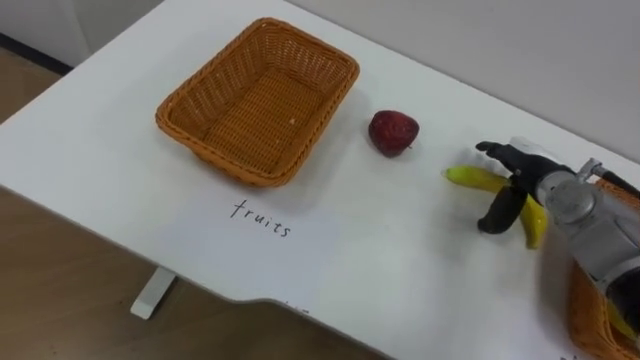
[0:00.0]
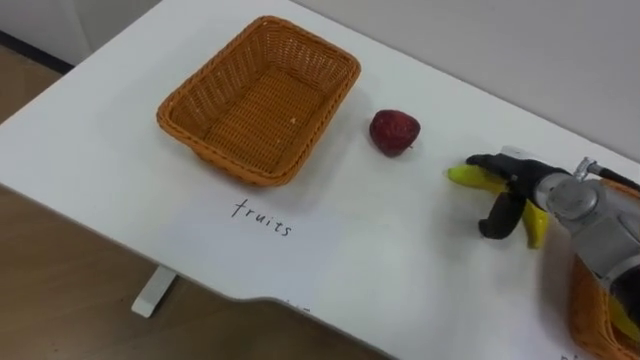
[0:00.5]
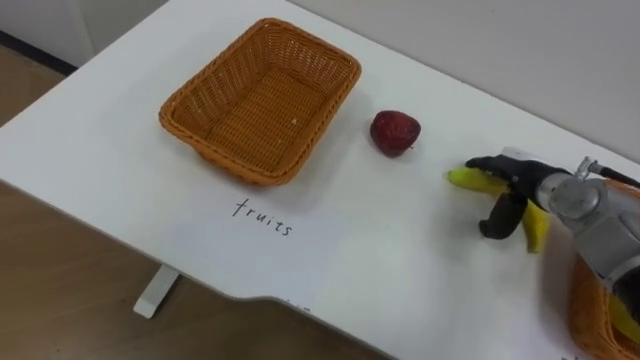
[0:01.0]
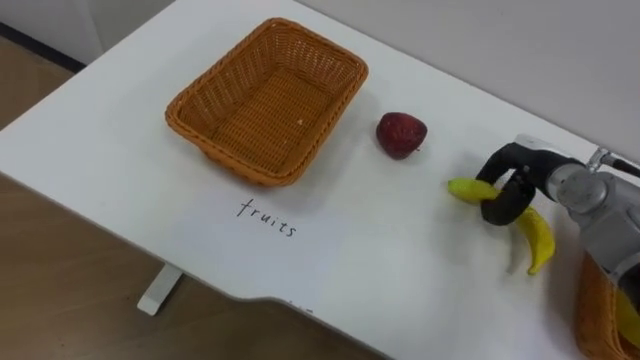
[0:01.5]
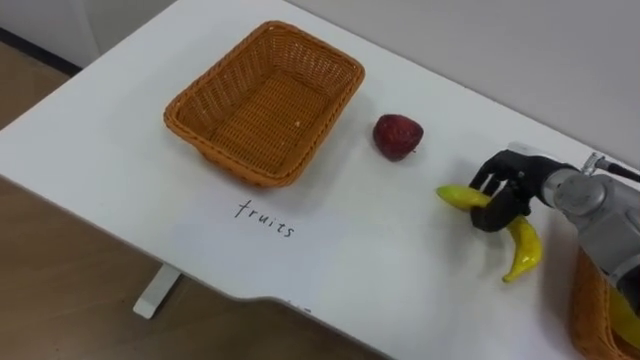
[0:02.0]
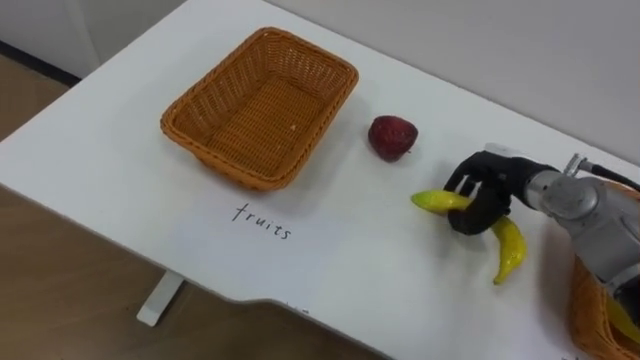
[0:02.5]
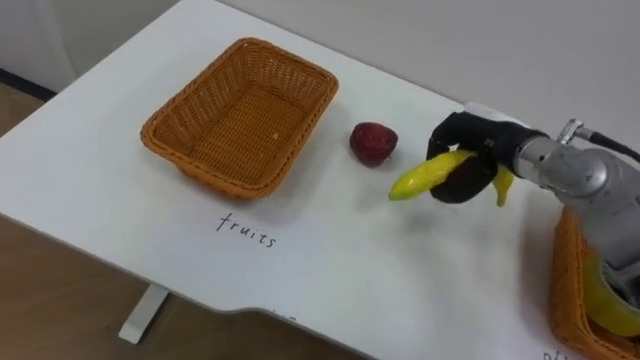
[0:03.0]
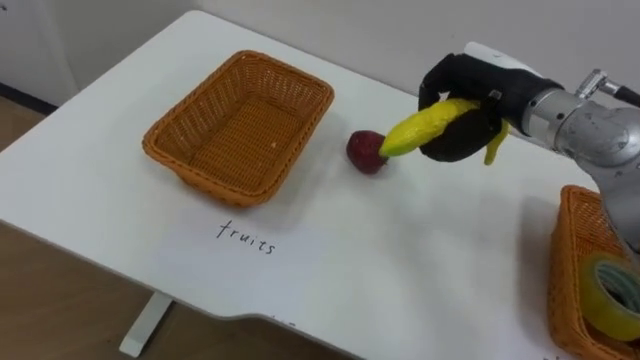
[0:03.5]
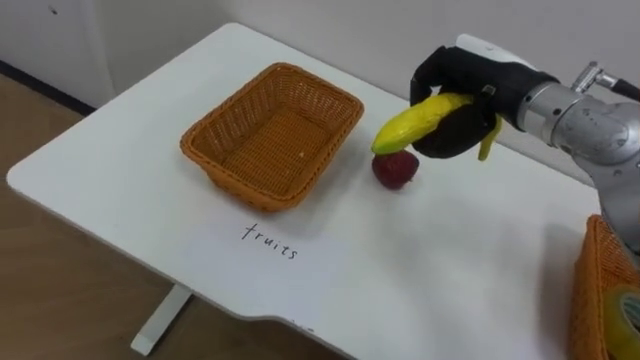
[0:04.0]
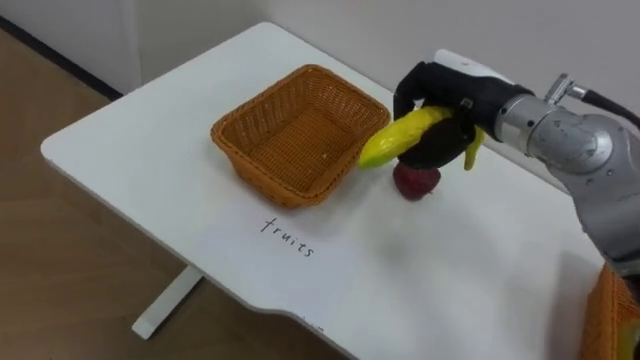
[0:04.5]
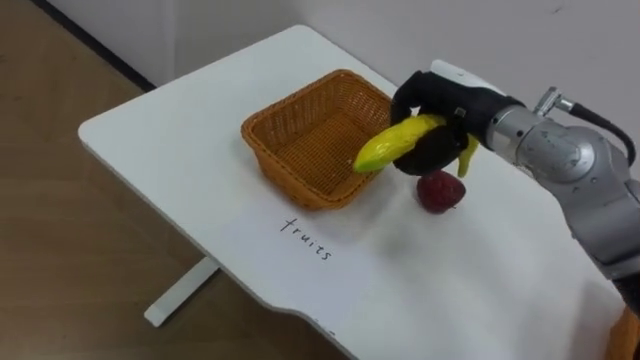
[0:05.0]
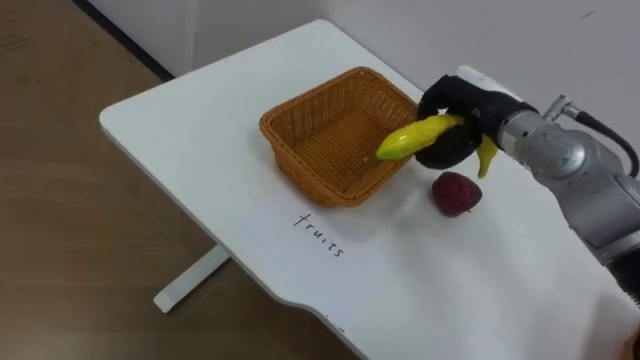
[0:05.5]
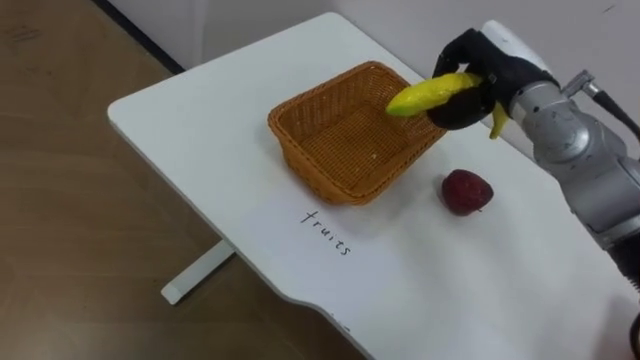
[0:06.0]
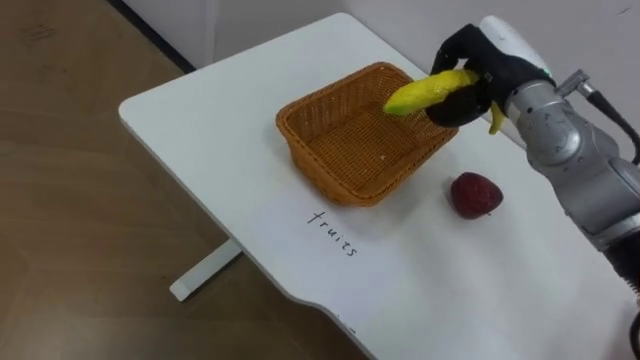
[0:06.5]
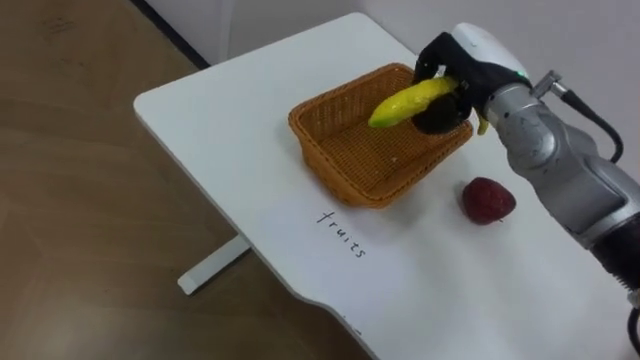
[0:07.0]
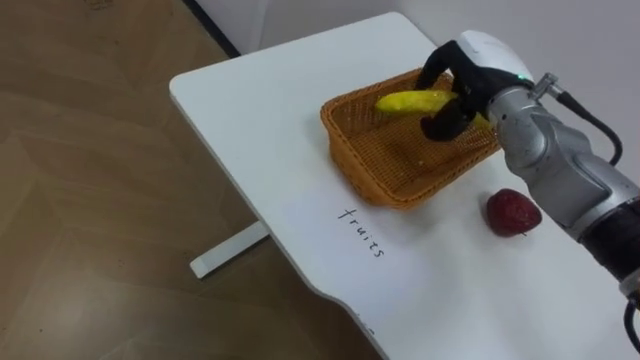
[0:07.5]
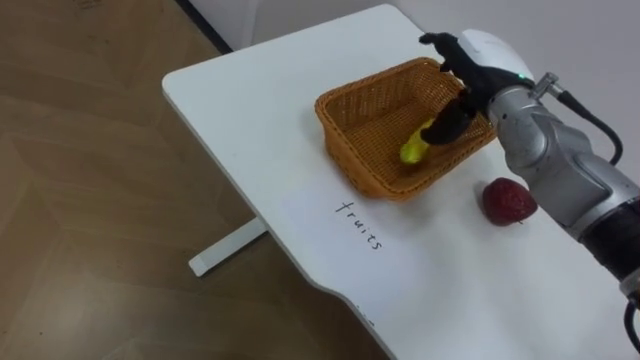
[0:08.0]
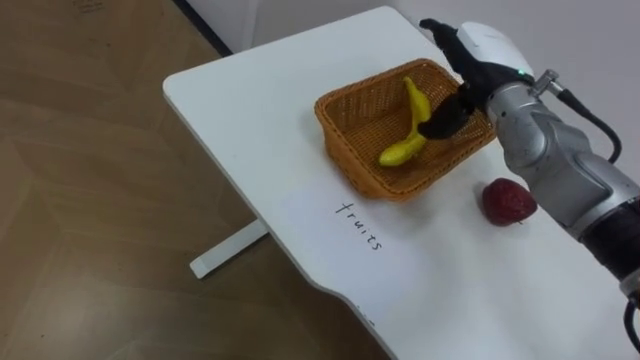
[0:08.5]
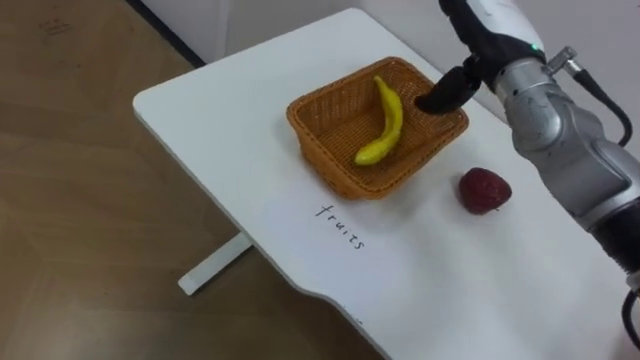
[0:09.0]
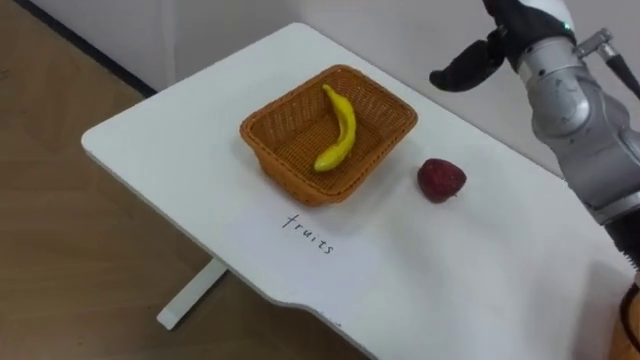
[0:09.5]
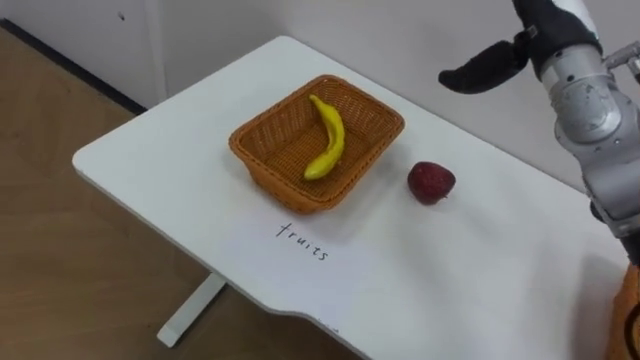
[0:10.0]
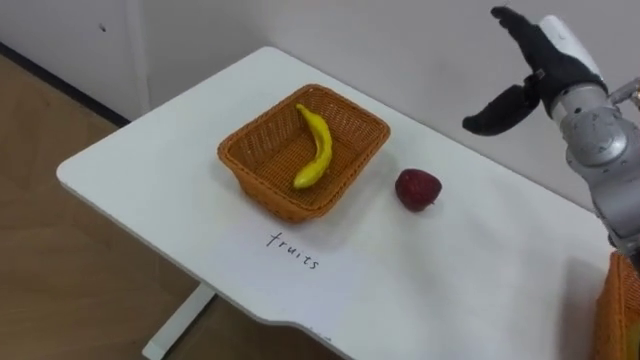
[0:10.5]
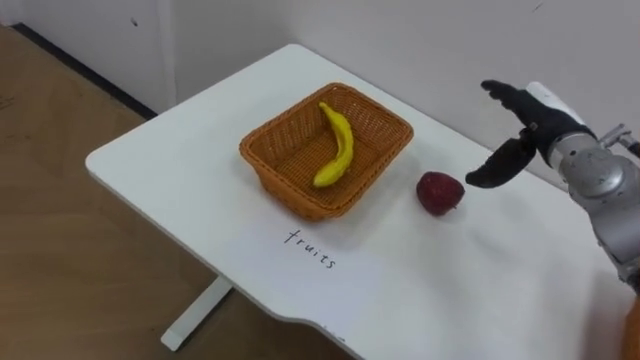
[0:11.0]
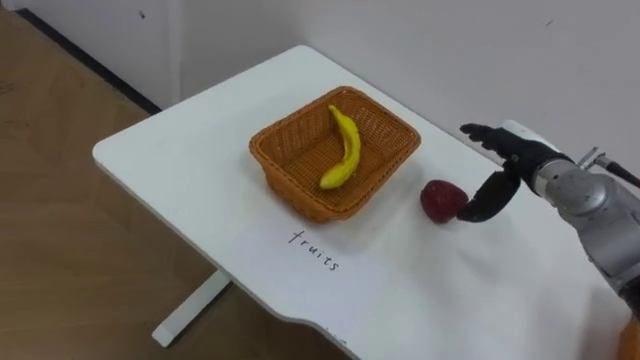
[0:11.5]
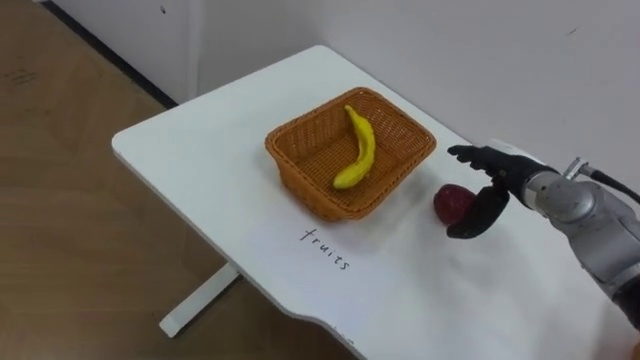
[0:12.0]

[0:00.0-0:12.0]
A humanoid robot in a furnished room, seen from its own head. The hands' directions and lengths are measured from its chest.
Task of the whole recording: Separate the items on the table and place them into the two baskets.
0:00.0 to 0:02.0: The right hand closes up.
0:02.0 to 0:04.0: The right hand goes roughly 20 cm upward and to the left.
0:04.0 to 0:06.0: The right hand moves about 5 cm.
0:06.0 to 0:08.0: The right hand opens.
0:10.0 to 0:12.0: The right hand moves downward, roughly 20 cm.

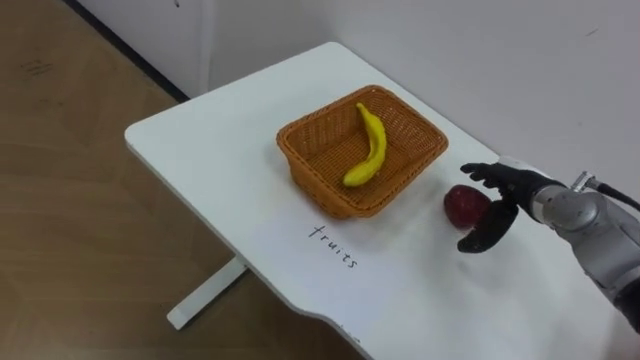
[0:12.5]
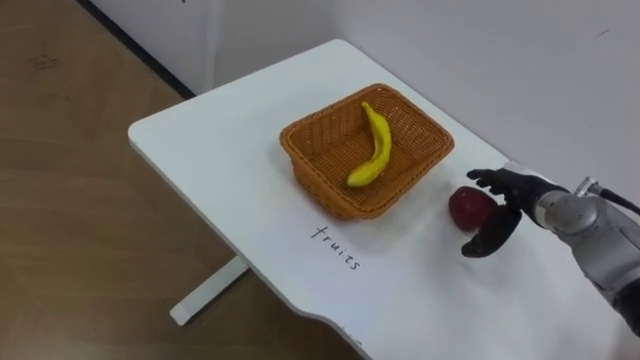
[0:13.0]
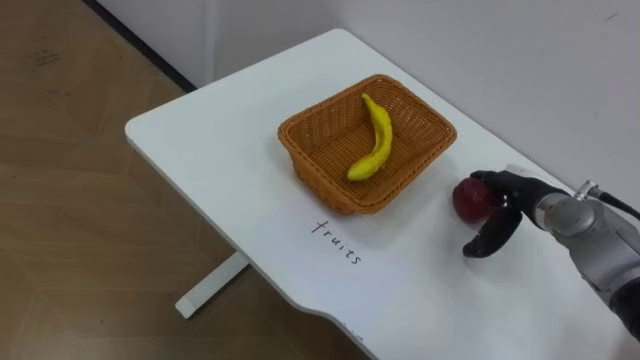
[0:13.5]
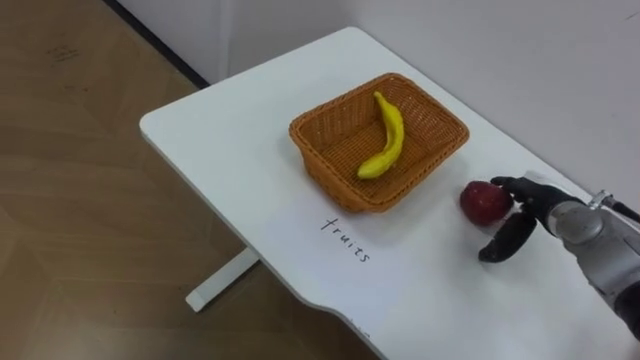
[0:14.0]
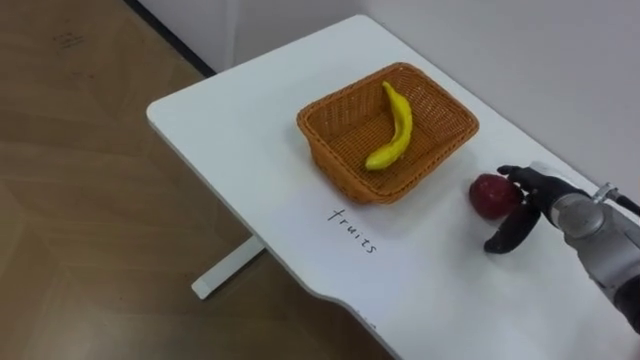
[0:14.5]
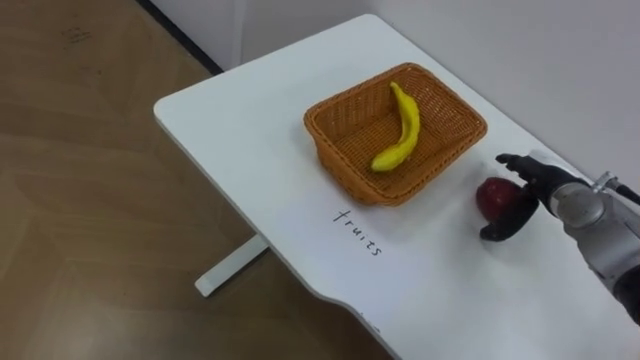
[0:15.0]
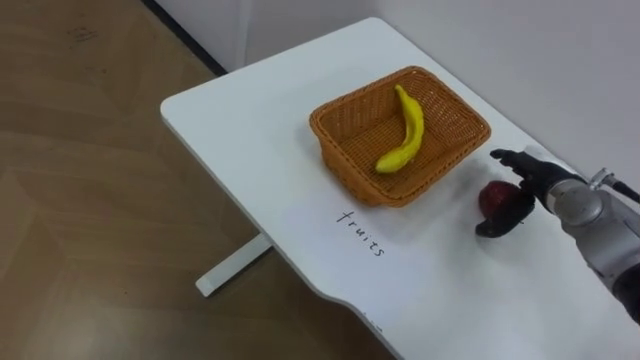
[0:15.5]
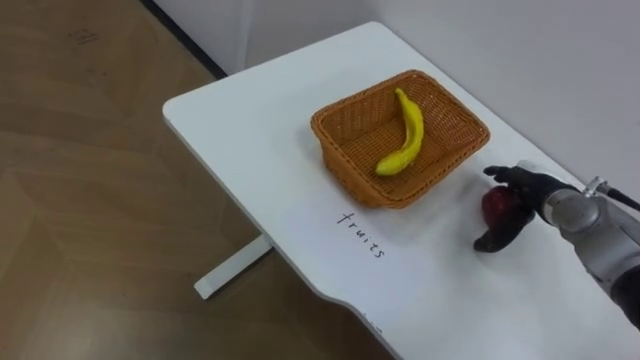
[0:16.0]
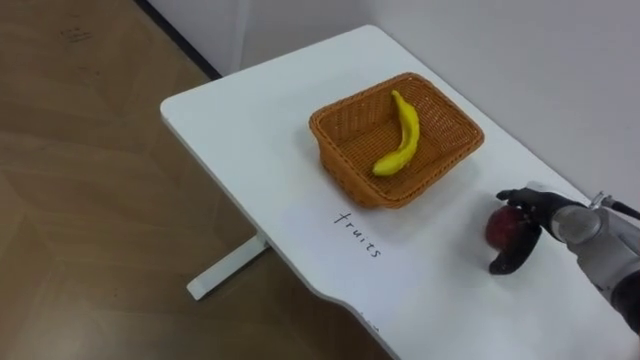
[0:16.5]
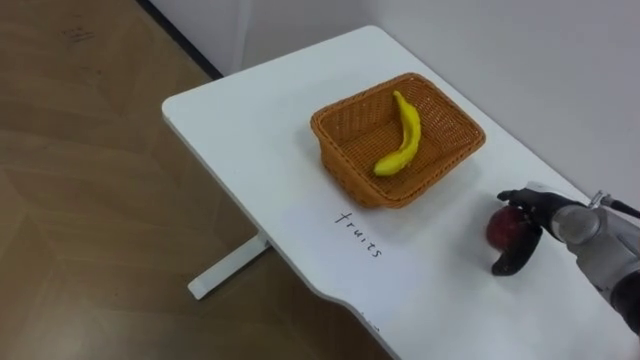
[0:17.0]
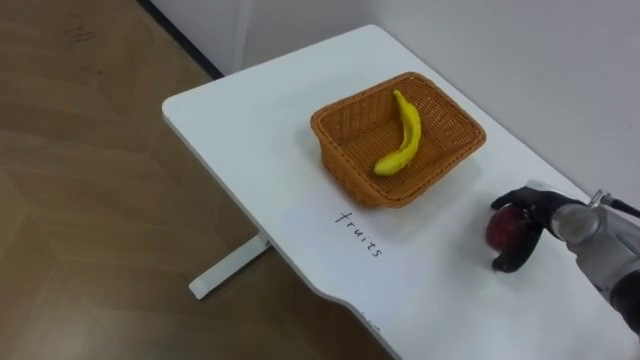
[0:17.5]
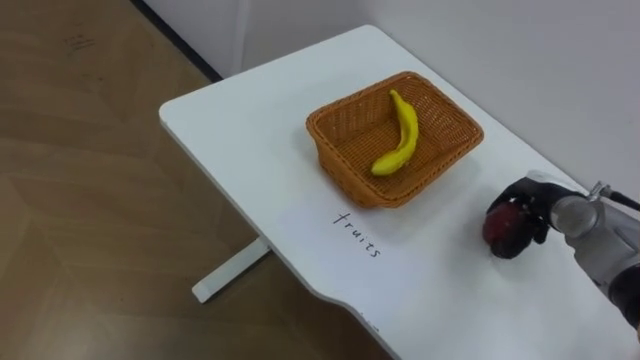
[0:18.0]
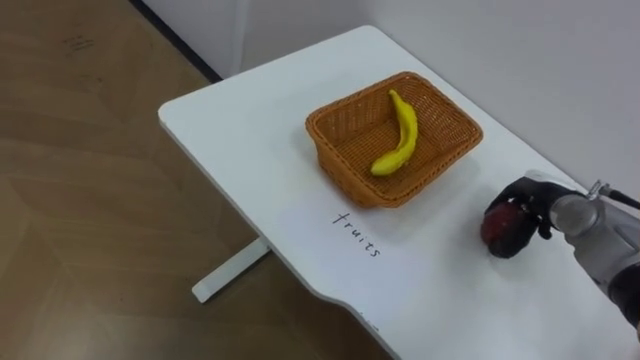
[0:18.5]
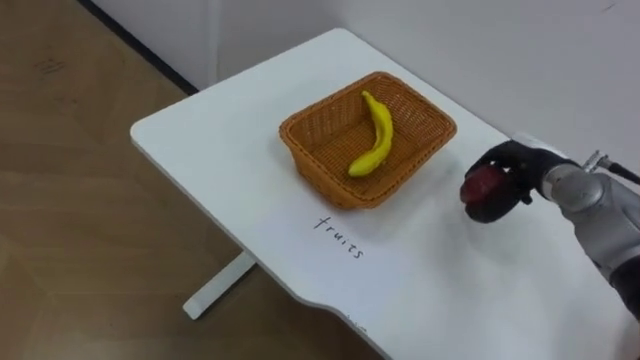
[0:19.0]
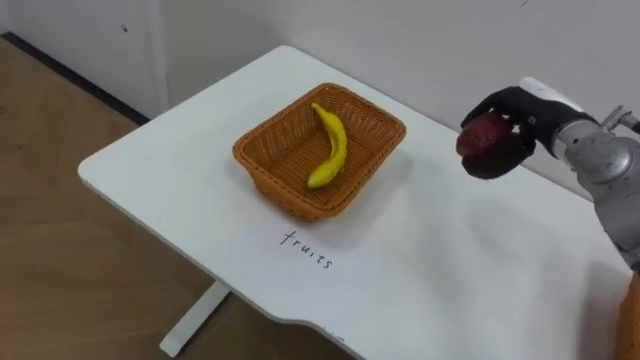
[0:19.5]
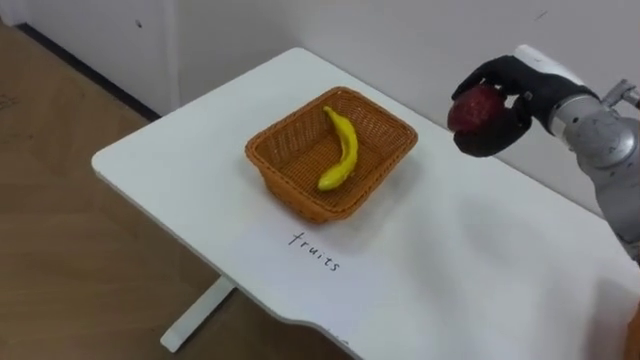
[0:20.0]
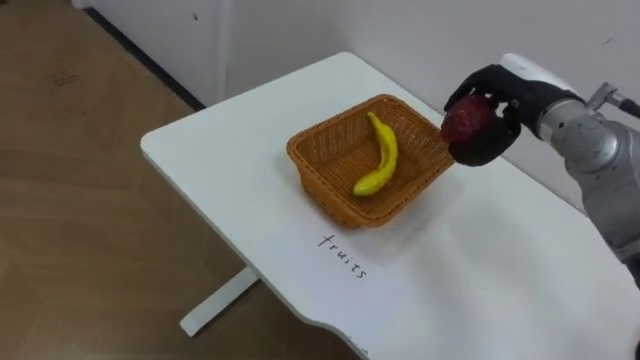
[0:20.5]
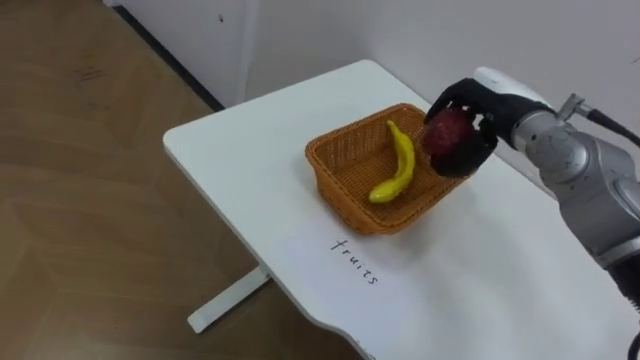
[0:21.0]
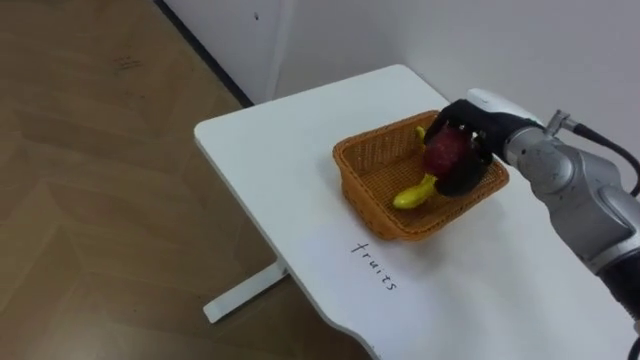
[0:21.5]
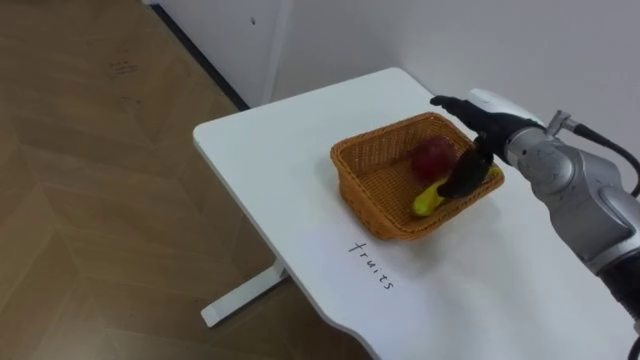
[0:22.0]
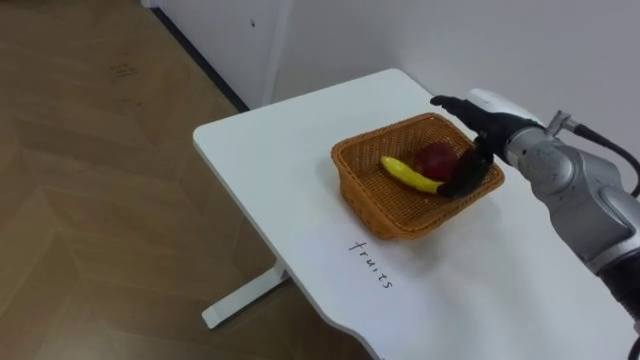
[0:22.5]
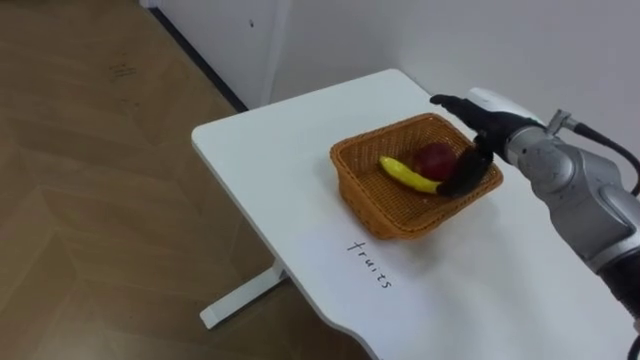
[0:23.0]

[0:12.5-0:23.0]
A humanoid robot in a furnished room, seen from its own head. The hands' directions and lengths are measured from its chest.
Task of the whole recording: Separate the items on the table and place them into the two baskets.
0:16.5 to 0:19.0: The right hand heads upward, covering about 5 cm, and closes up.
0:19.0 to 0:21.0: The right hand travels upward and to the left by approximately 10 cm.
0:21.0 to 0:23.0: The right hand opens its fingers.
